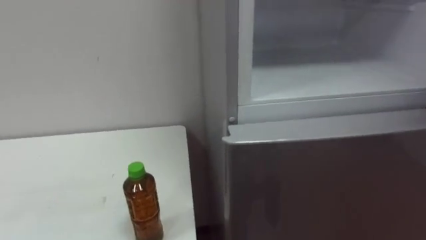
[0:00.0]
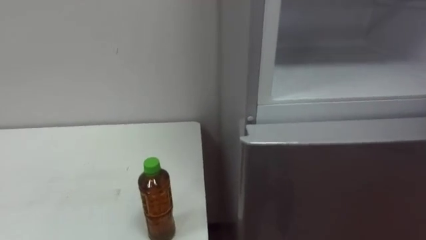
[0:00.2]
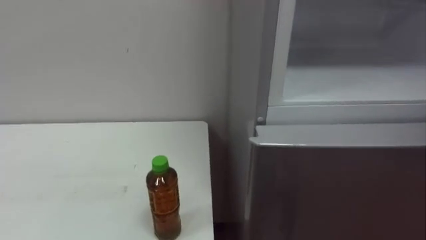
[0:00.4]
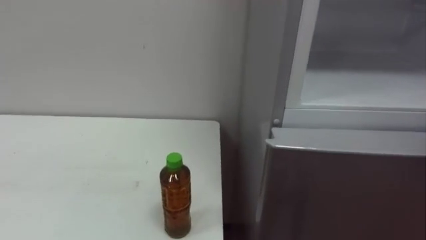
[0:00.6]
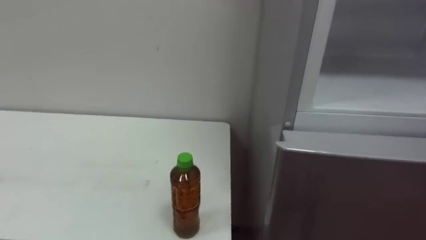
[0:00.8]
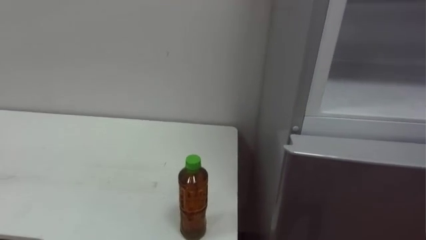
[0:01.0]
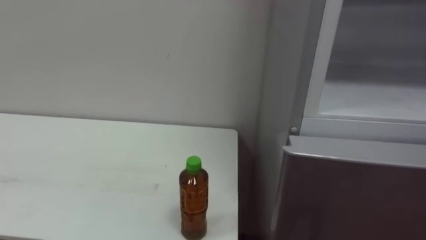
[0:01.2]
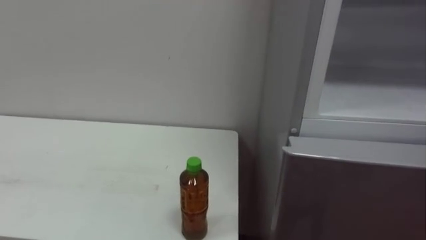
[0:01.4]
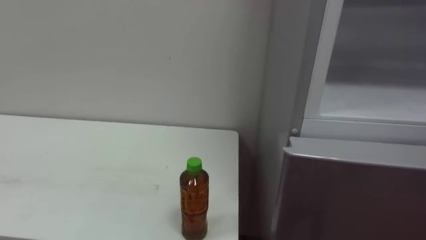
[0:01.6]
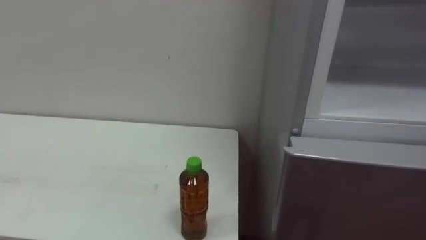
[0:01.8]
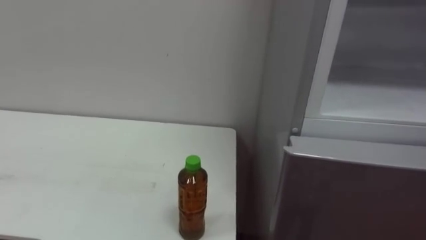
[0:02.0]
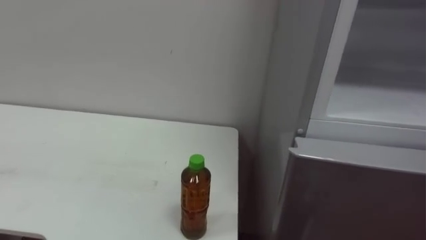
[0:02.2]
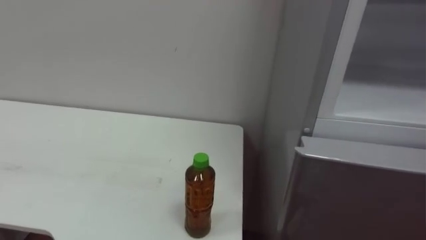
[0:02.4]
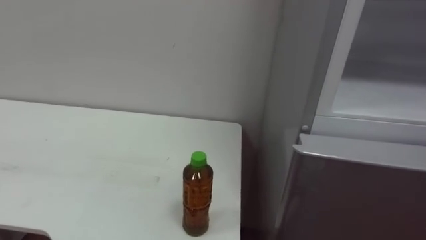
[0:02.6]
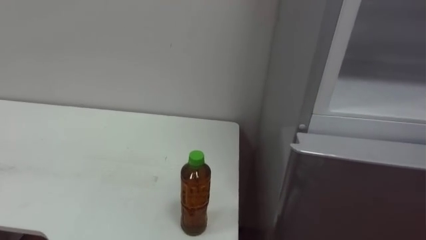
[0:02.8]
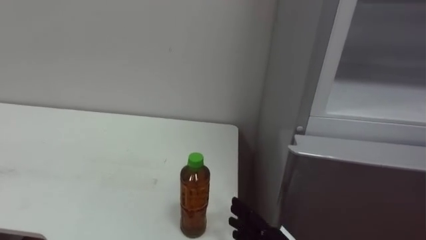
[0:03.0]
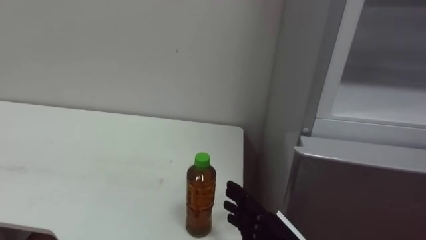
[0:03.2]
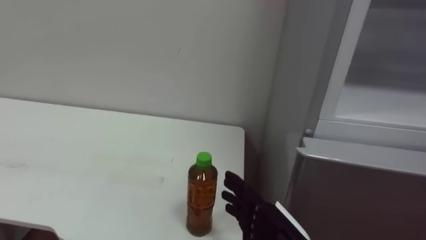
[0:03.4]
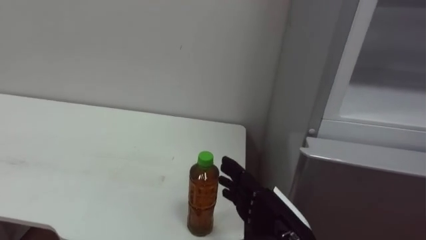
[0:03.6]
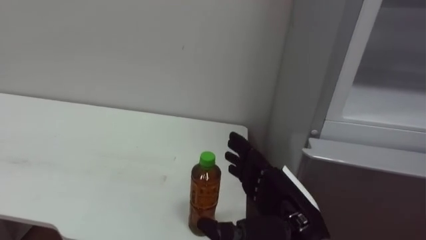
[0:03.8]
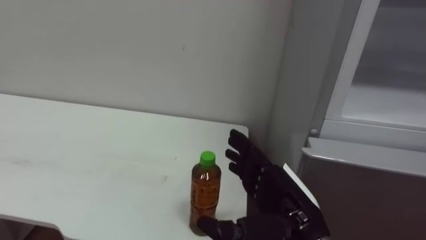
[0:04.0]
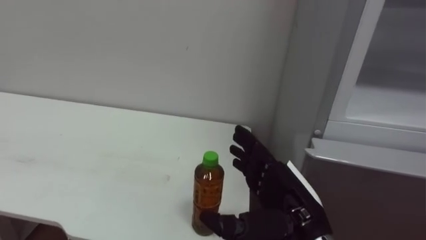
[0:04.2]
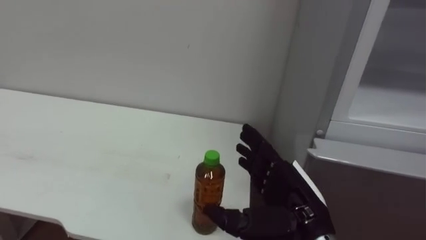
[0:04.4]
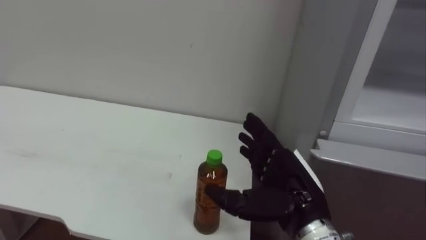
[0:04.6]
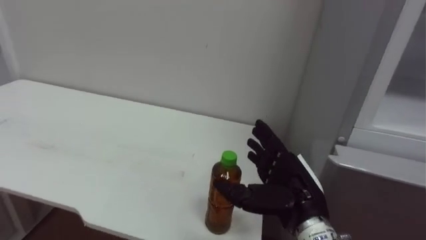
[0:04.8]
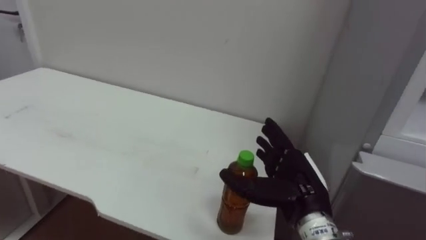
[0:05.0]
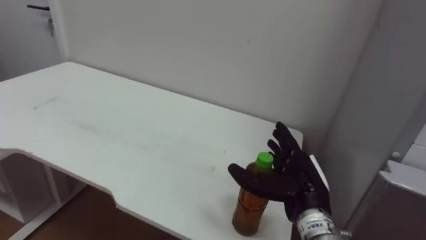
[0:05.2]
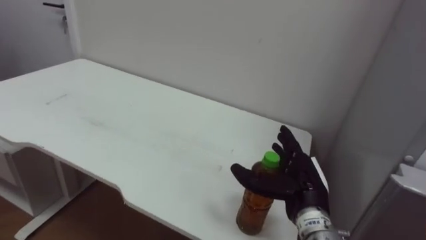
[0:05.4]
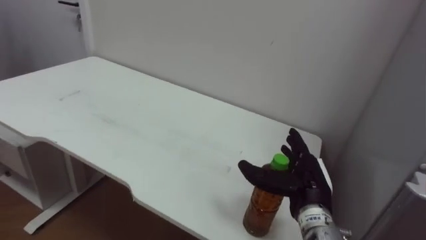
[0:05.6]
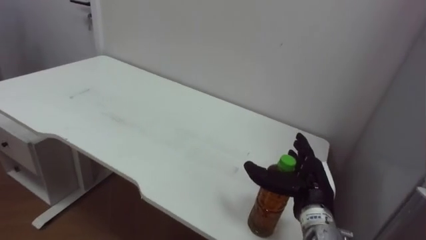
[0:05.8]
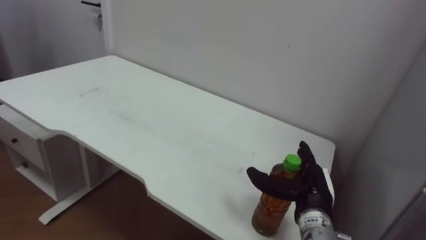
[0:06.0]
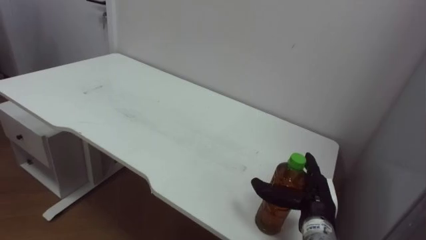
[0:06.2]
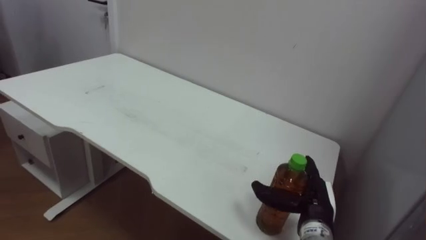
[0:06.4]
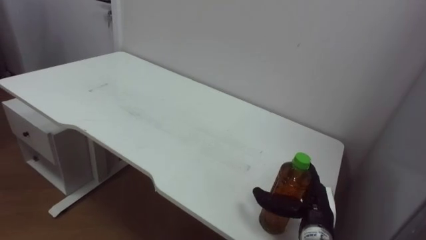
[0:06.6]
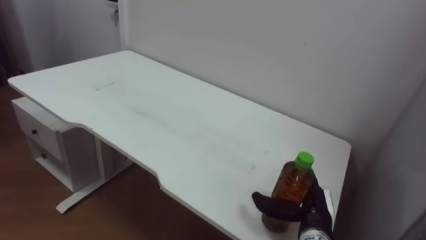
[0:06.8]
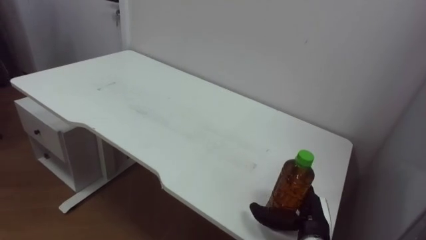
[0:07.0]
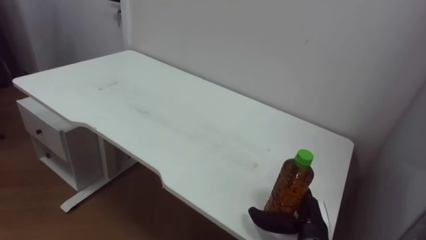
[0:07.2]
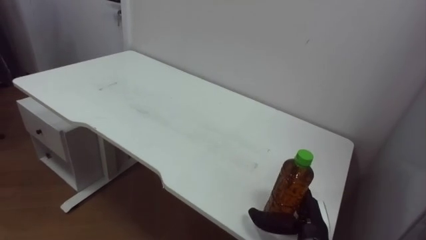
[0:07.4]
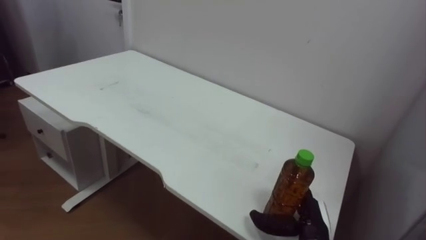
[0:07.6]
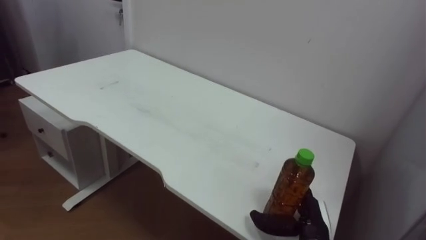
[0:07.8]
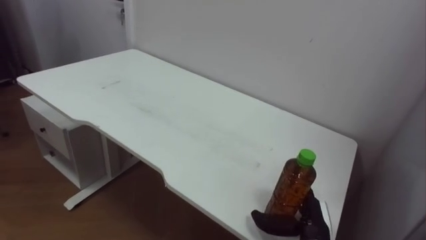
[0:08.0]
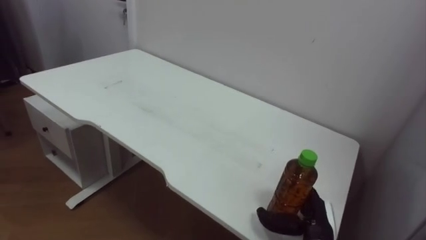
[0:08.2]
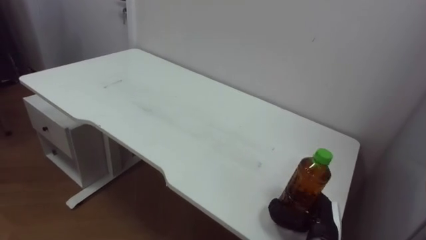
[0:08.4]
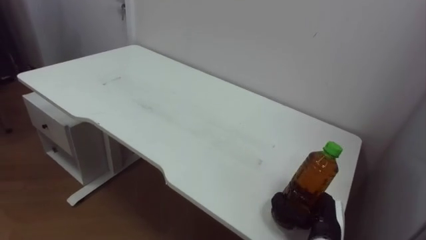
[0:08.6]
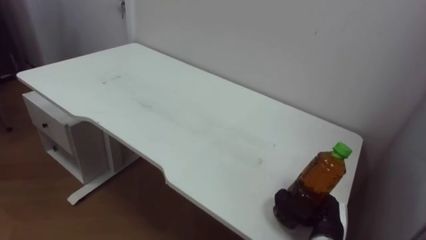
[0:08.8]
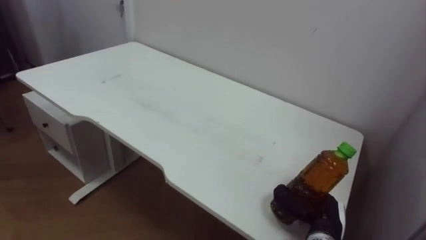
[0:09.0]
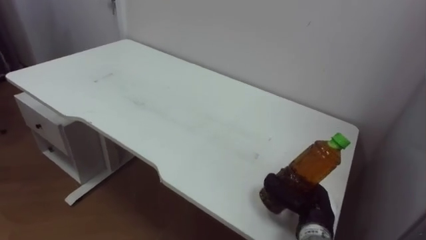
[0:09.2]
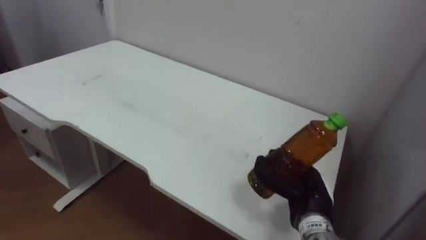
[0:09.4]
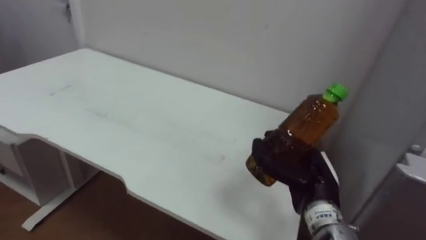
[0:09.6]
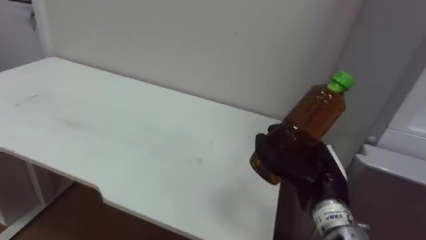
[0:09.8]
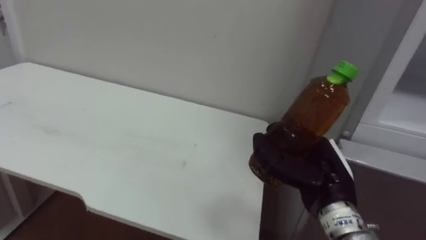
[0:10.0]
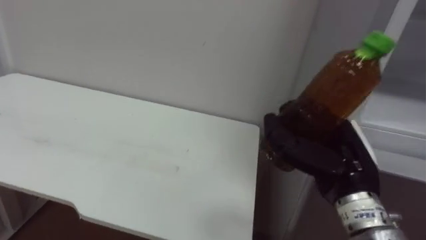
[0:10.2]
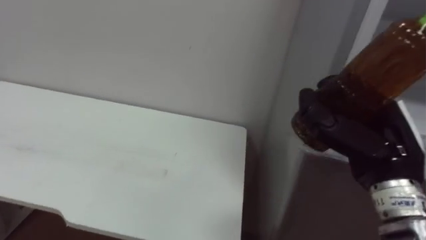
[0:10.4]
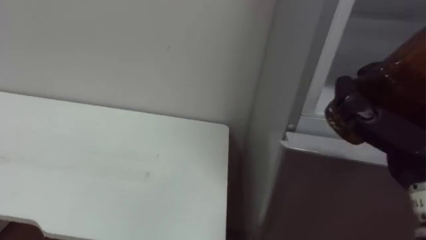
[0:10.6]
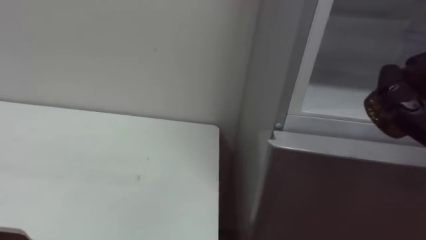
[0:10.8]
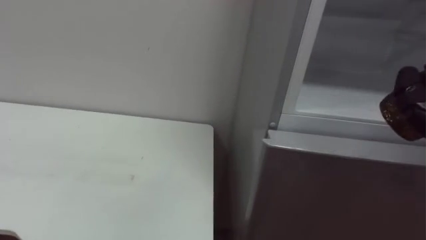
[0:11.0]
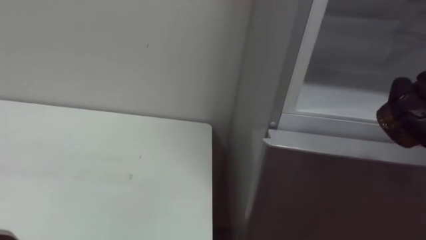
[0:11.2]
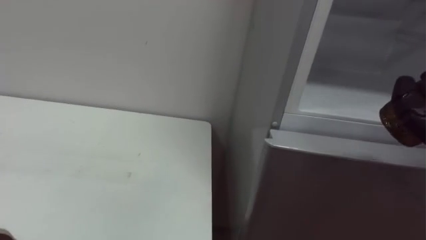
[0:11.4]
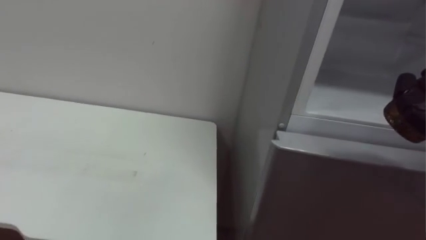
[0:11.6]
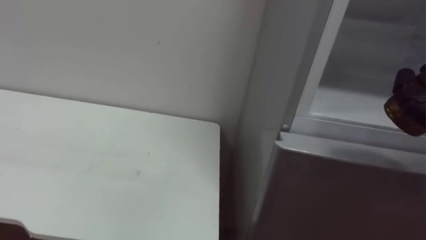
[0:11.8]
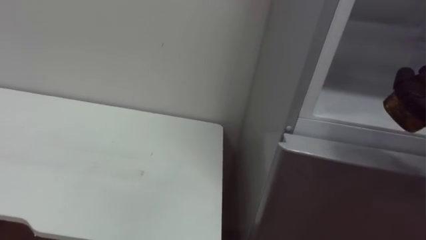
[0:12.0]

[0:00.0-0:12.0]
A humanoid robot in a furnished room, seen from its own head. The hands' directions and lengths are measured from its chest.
Task of the whole recording: Open the upper refrigerator door, put the drink from the table into the refrigerator, and then close the refrigerator door.
0:04.4 to 0:06.0: The right hand moves forward, downward and to the right, approximately 10 cm.
0:06.0 to 0:07.6: The right hand goes approximately 5 cm downward.
0:07.6 to 0:09.0: The right hand closes its fingers.
0:09.0 to 0:10.4: The right hand travels upward by approximately 20 cm.

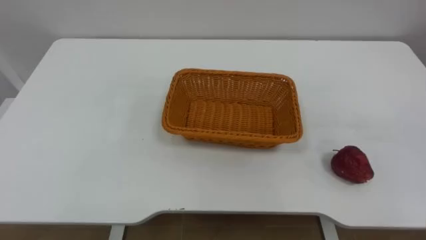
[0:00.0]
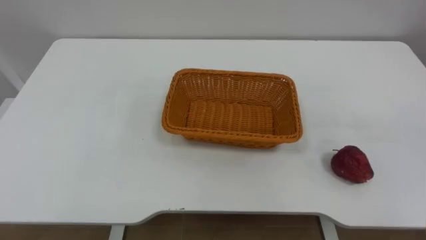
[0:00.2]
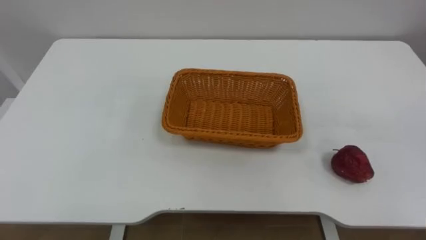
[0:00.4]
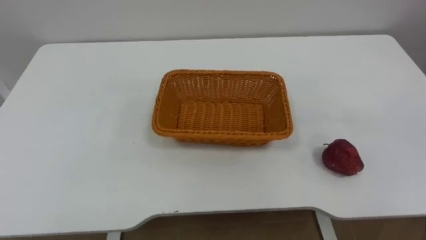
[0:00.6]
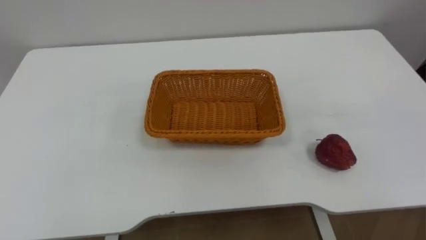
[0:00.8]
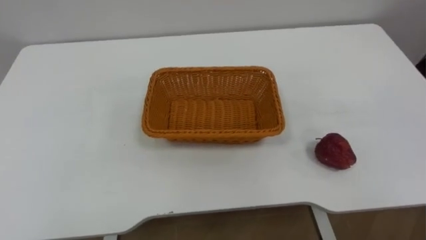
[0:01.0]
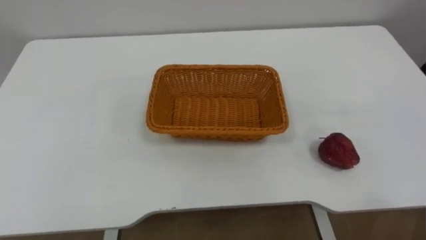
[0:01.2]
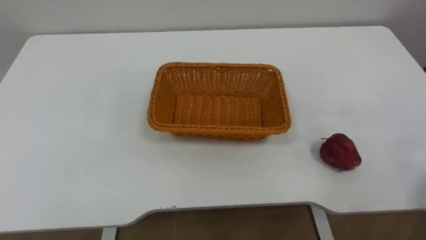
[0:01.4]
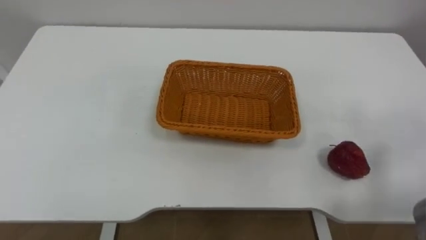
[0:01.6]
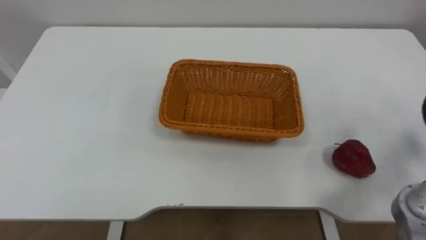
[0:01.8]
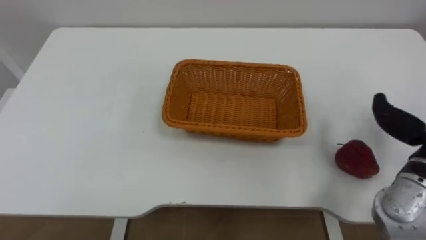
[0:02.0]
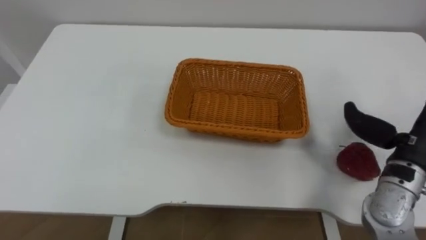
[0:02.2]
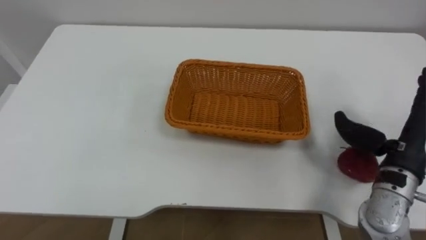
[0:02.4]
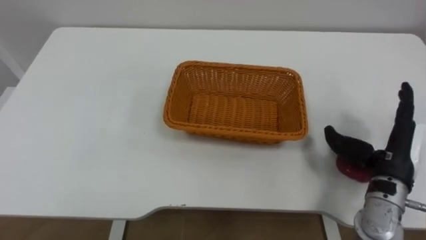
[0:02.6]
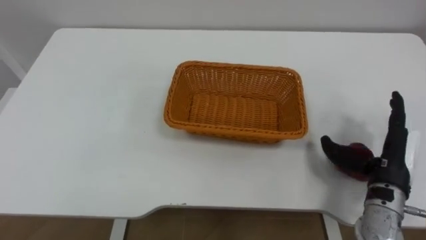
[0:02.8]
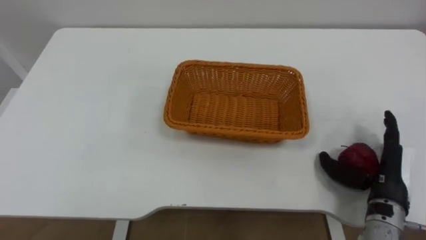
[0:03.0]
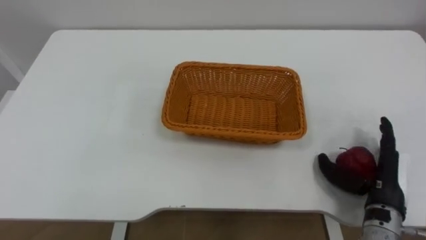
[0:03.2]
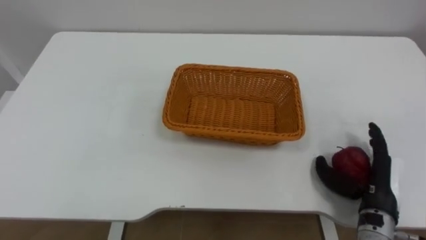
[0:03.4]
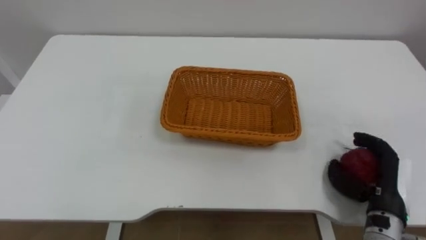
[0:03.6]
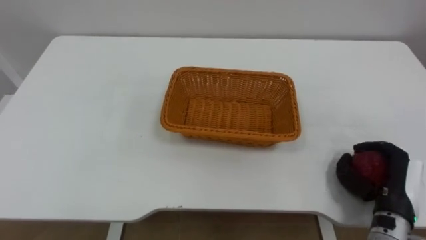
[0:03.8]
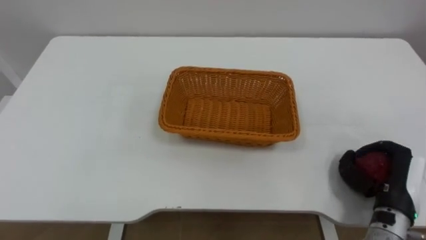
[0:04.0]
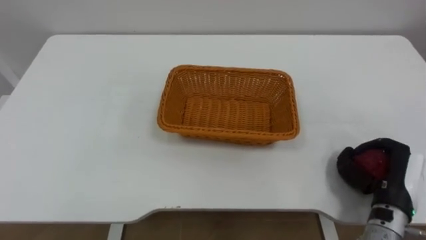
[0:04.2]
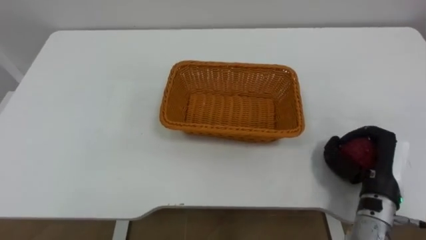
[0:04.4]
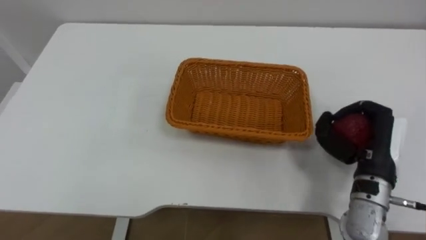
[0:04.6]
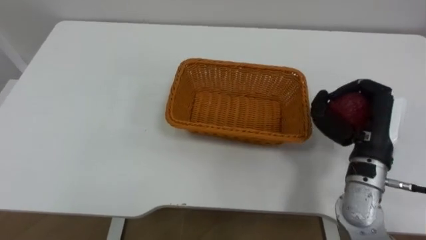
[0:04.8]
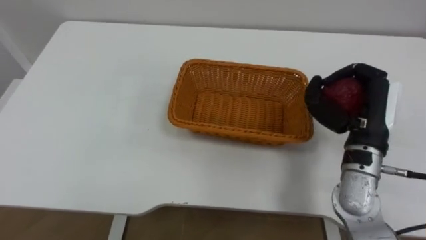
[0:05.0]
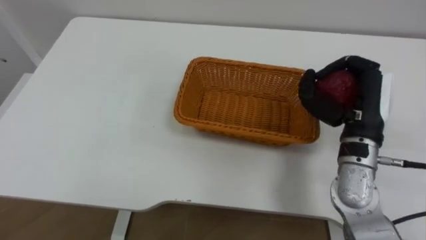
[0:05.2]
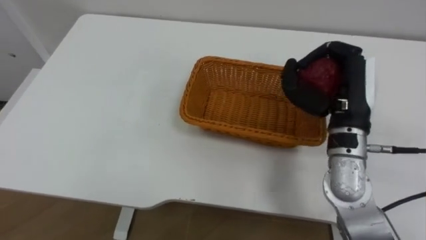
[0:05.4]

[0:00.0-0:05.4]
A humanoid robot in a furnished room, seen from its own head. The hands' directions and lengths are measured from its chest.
Task of the whole recording: Pick the apple and place it in the box.
0:02.8 to 0:04.0: The right hand changes place by about 5 cm, and closes up.
0:04.0 to 0:05.4: The right hand travels upward, to the left and forward by approximately 20 cm.
